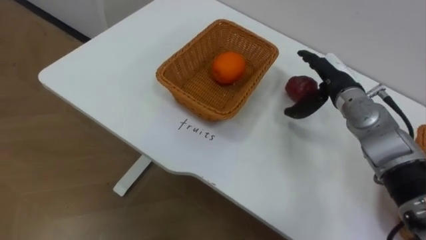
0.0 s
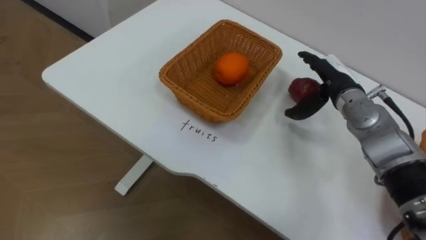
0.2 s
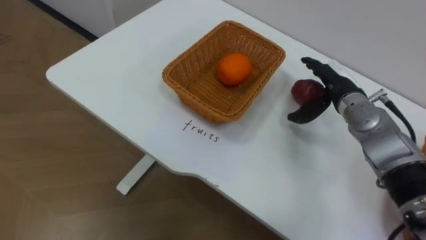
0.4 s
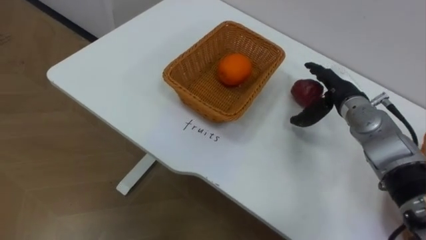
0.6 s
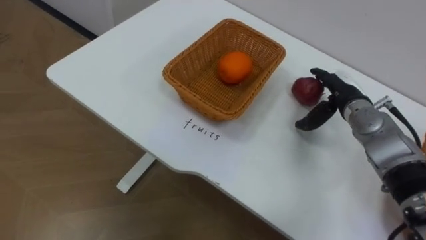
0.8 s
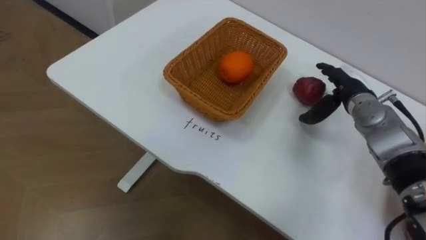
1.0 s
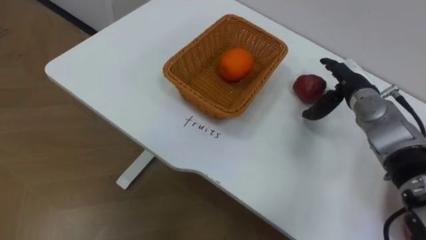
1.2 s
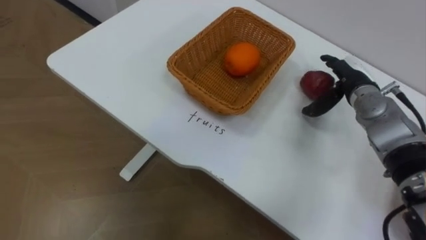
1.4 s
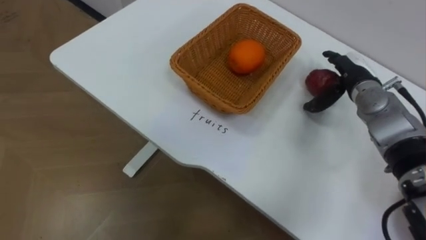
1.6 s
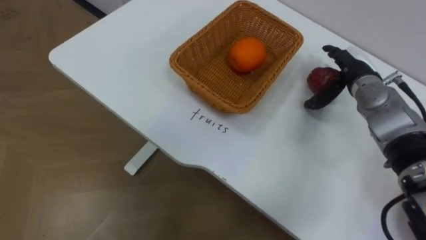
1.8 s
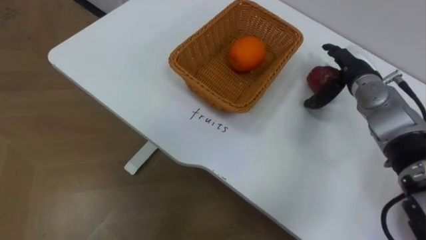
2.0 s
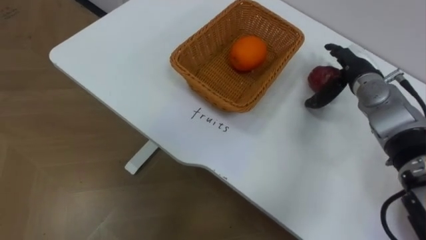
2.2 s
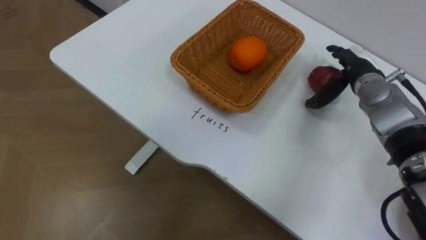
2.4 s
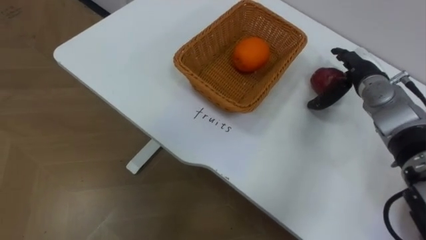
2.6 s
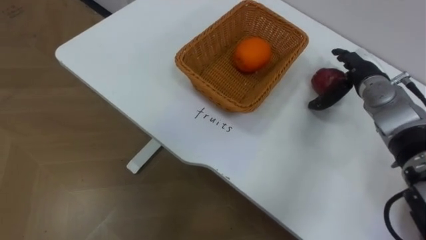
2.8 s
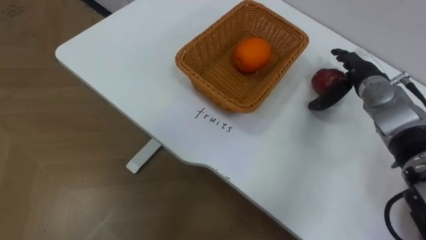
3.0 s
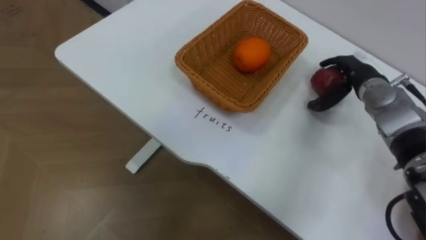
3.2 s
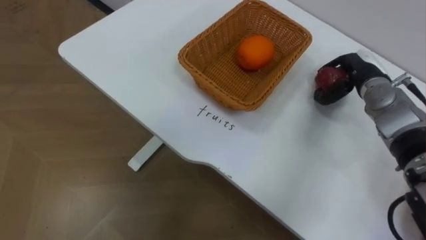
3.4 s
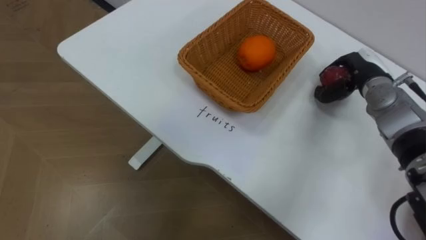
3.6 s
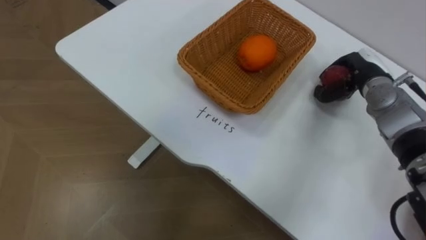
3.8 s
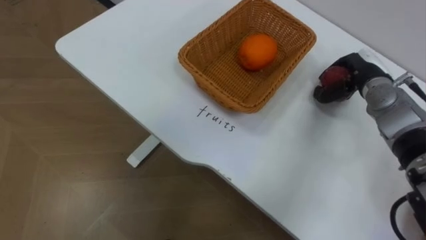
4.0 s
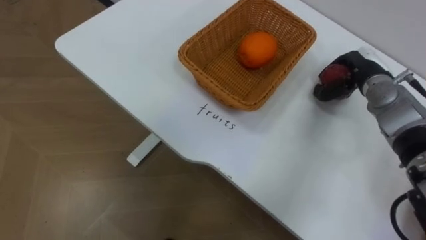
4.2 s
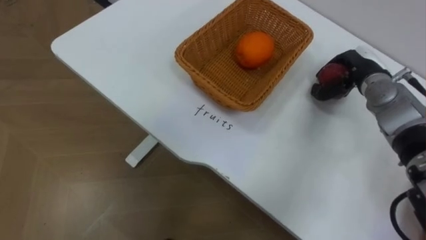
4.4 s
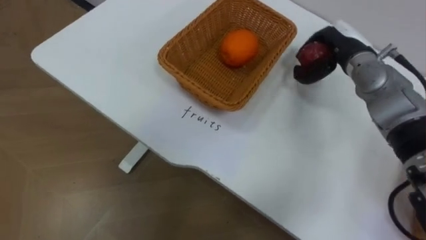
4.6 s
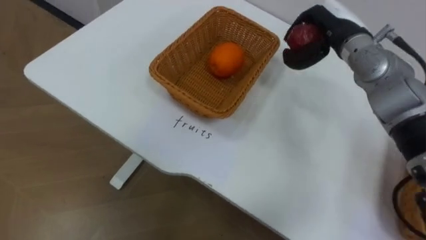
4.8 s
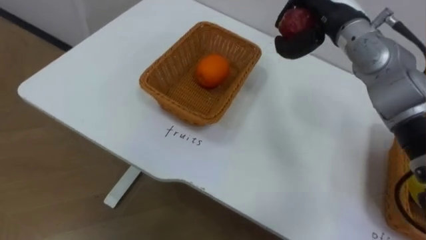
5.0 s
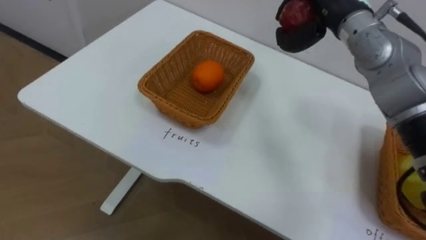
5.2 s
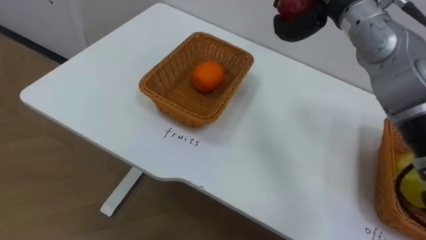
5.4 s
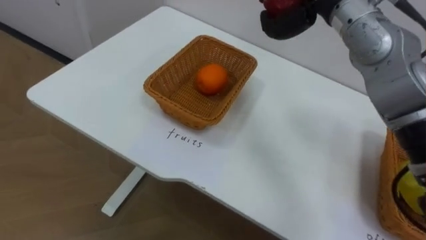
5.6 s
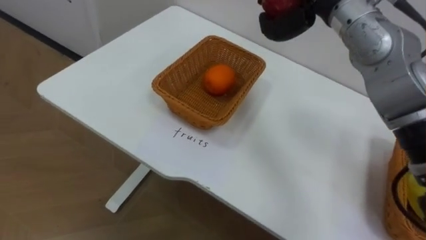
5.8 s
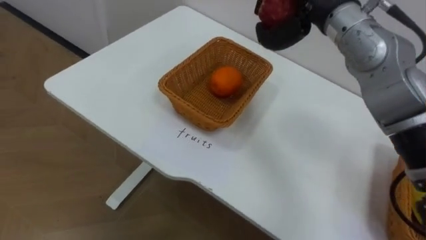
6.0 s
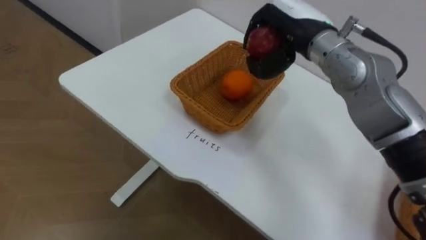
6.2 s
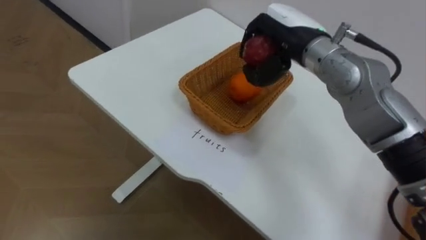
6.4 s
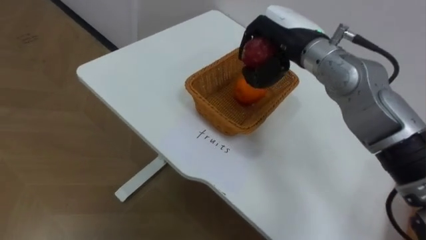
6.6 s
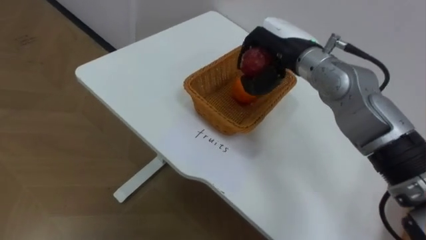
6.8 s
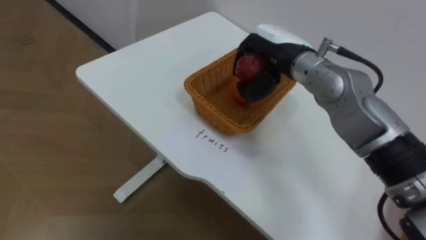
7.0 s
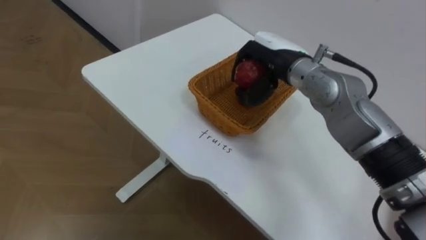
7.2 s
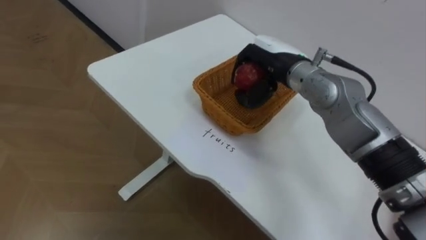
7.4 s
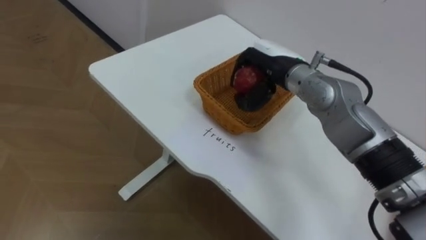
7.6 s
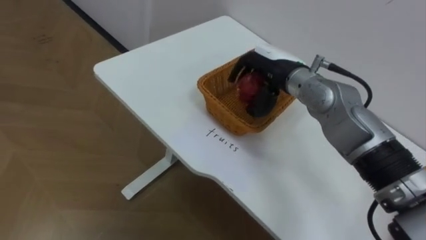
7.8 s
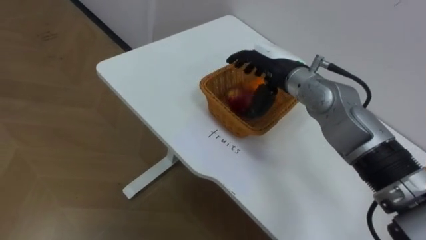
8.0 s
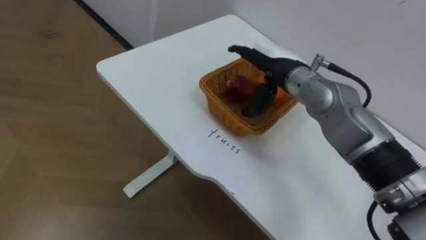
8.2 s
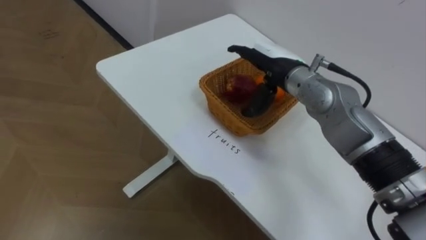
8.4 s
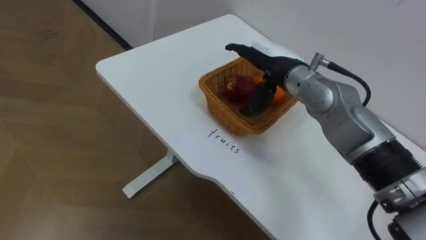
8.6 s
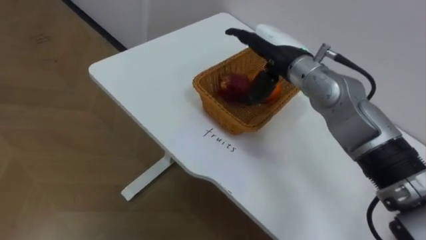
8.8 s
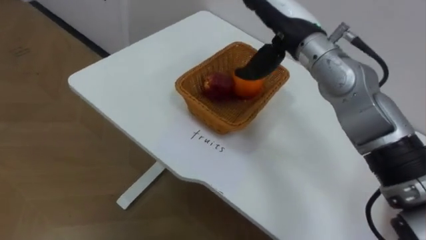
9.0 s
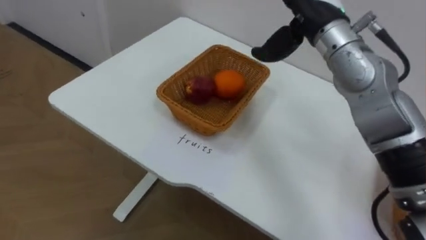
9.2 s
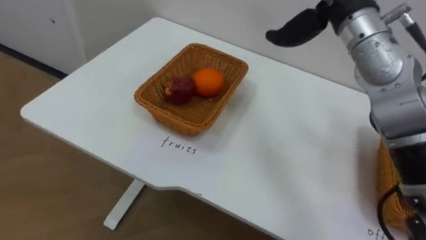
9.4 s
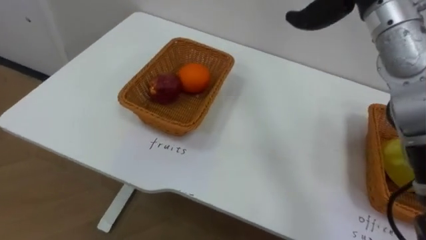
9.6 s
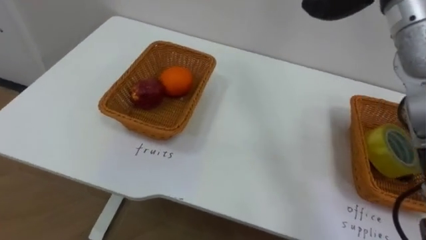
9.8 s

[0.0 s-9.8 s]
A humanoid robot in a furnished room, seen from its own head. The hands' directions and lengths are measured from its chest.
Task of the whole recording: Separate the items on the table and place them into the two baskets.
2.8 to 4.2 s: The right hand closes its fingers.
7.0 to 8.4 s: The right hand opens.

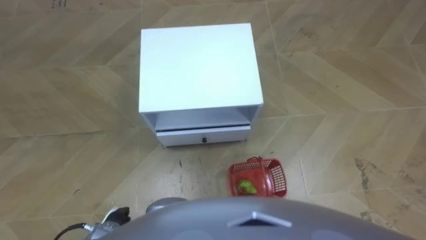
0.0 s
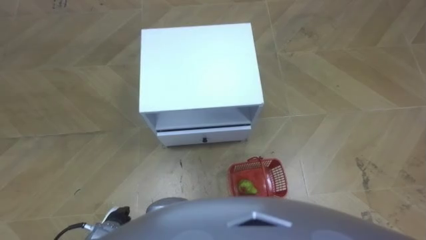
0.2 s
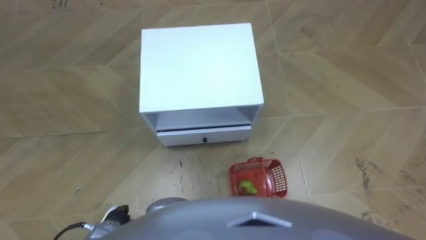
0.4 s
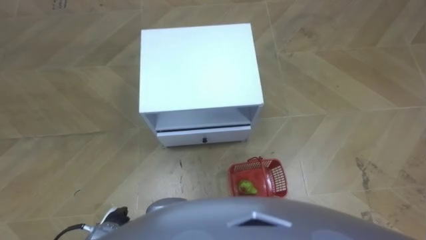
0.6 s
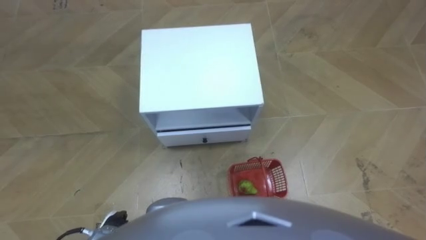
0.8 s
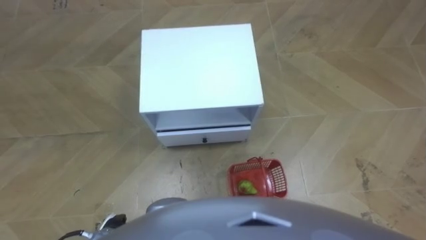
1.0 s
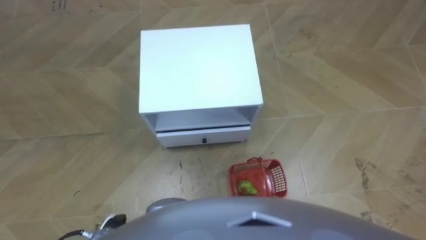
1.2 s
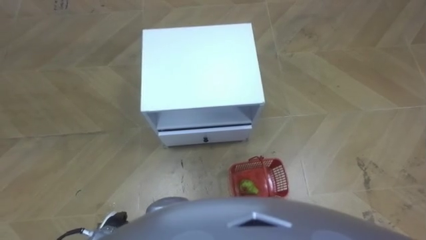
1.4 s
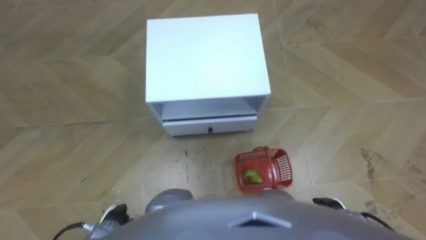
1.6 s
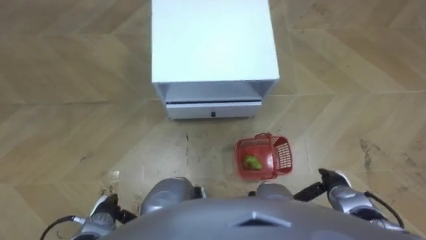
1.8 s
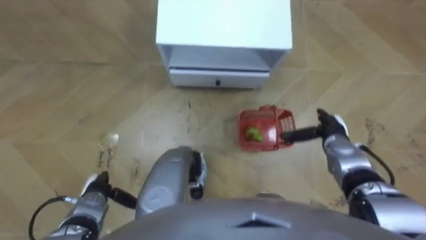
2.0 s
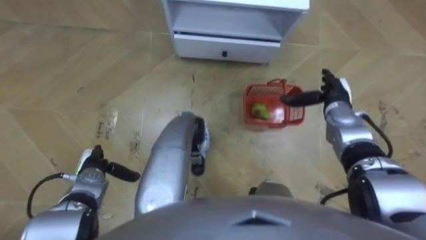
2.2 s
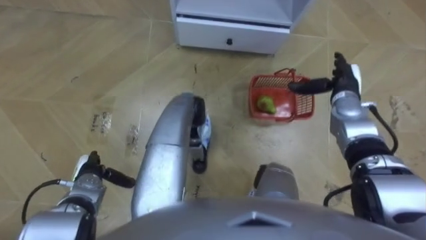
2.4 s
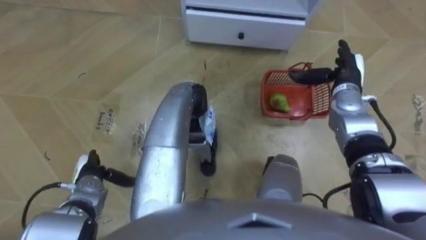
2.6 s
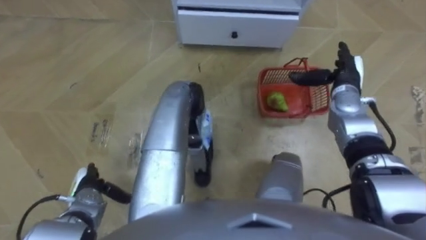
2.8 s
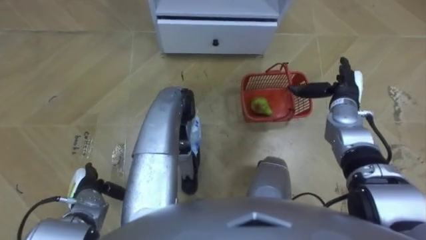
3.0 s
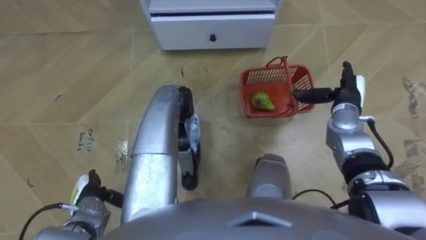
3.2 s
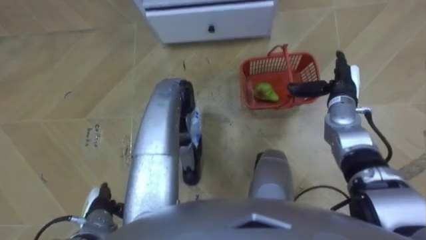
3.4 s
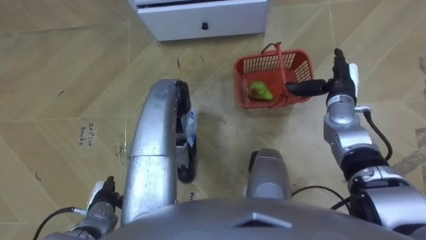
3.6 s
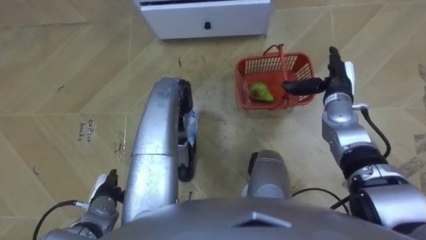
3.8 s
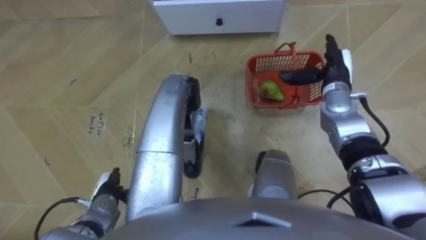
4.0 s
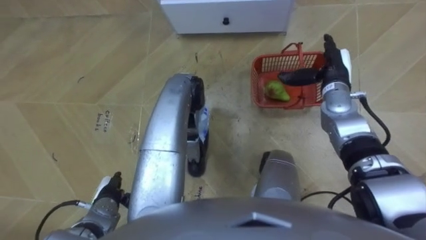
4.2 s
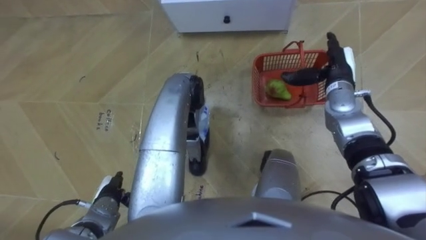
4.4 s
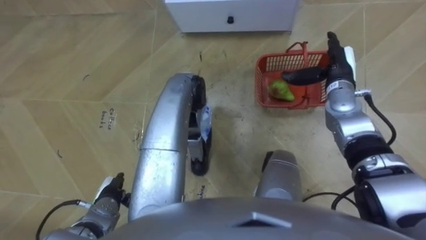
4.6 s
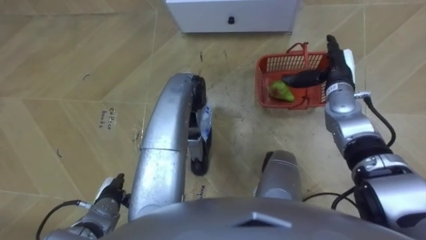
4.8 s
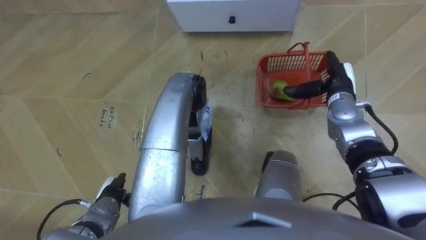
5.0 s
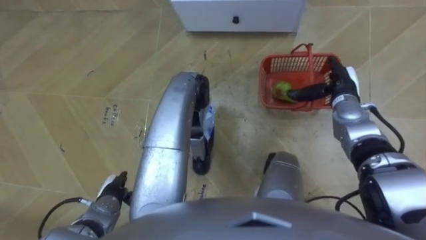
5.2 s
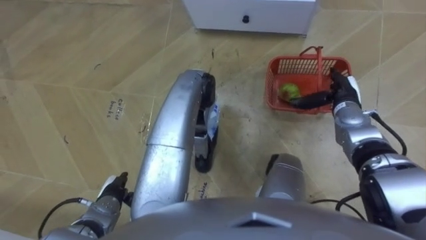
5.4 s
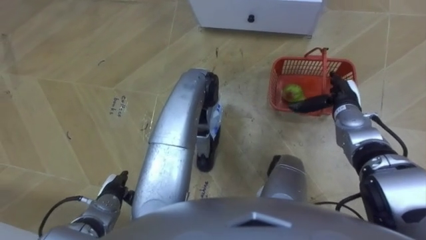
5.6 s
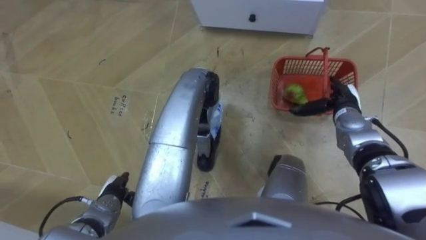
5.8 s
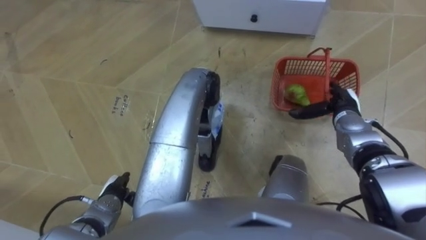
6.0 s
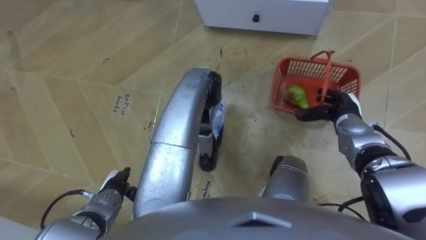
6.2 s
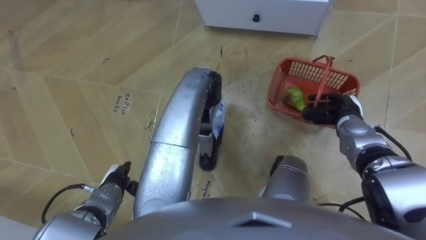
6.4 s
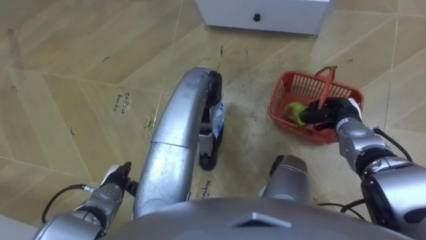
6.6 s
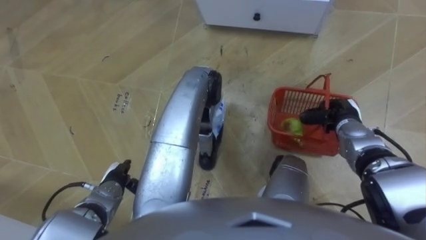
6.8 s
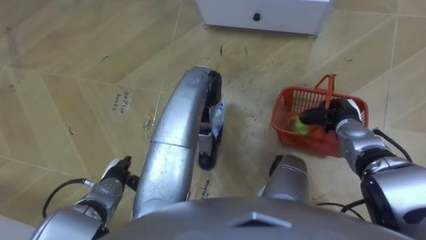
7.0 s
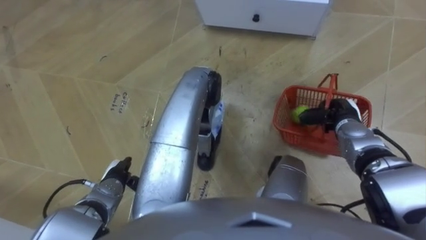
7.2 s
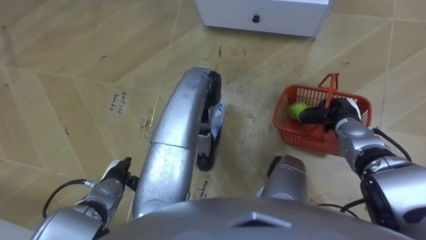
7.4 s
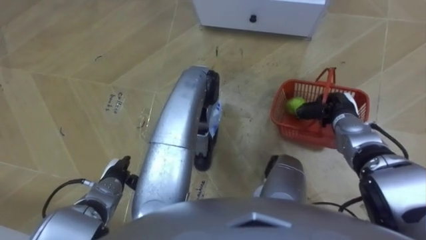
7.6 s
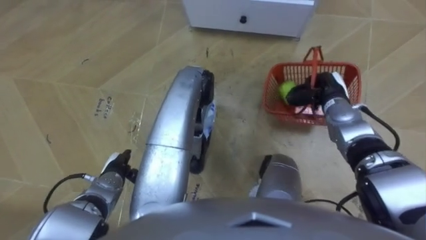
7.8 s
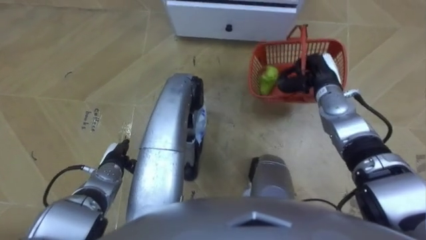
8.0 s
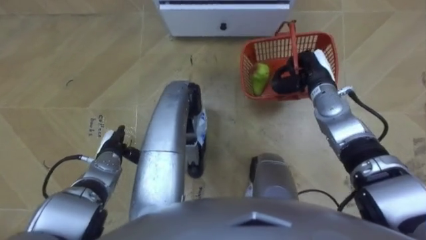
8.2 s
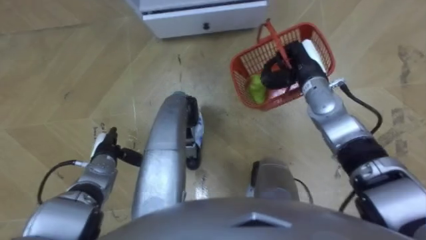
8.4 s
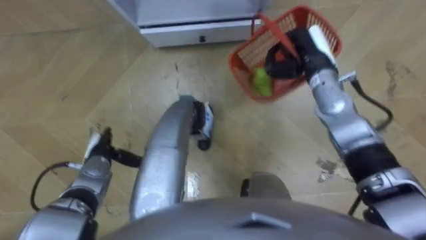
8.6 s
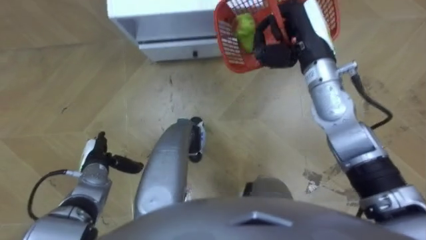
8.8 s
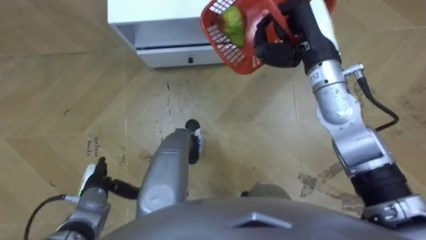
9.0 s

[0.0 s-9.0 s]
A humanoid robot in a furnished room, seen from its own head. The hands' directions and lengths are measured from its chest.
Task of the whole recording: Pick up the fruit basket from the floor and place it on the cabinet.
1.6 to 3.0 s: The right hand moves forward and upward, approximately 30 cm. Meanwhile the left hand travels forward and to the left by roughly 10 cm.
3.0 to 4.4 s: The left hand ends up roughly 5 cm from where it was. The right hand changes place by about 5 cm.
4.4 to 6.0 s: The right hand is displaced downward and backward by some 10 cm.
6.0 to 7.6 s: The right hand closes up.
7.6 to 9.0 s: The left hand travels forward and back again, approximately 5 cm each way; the right hand heads upward and to the left, covering some 25 cm.
